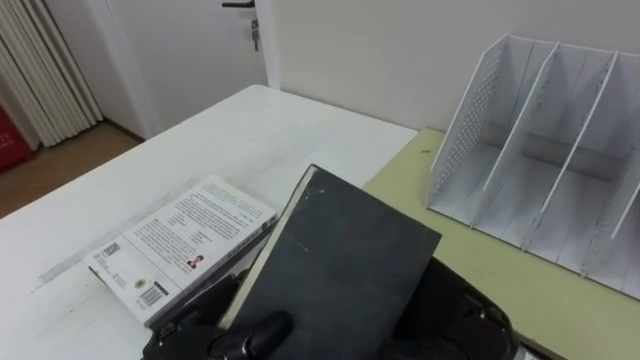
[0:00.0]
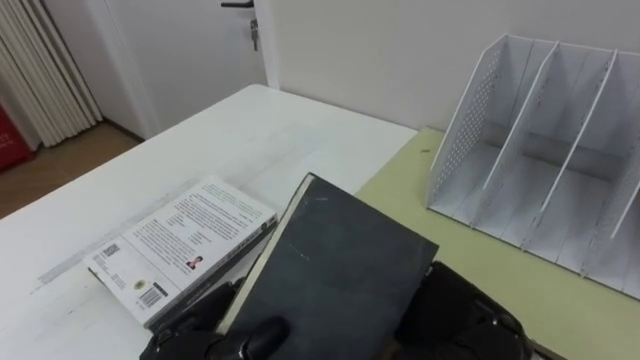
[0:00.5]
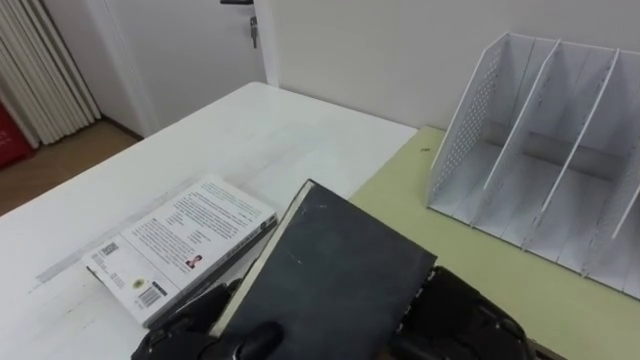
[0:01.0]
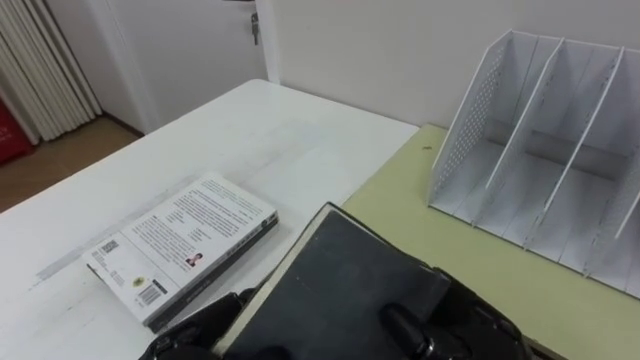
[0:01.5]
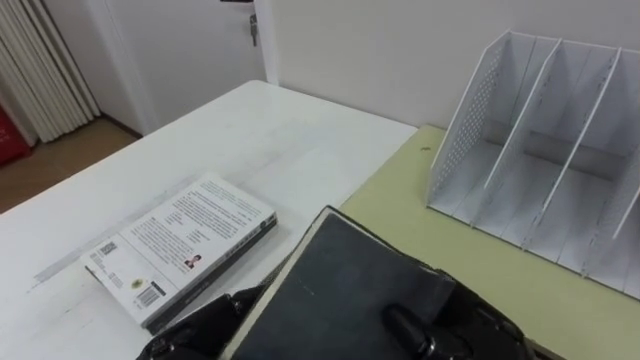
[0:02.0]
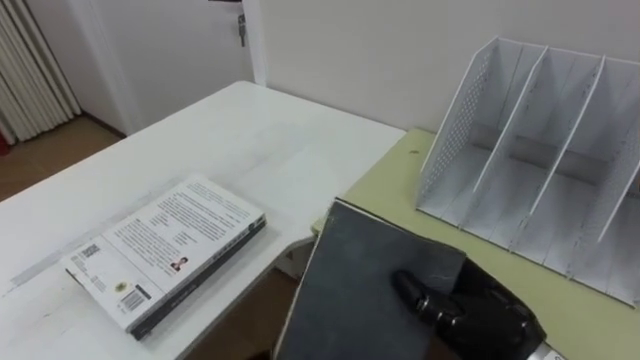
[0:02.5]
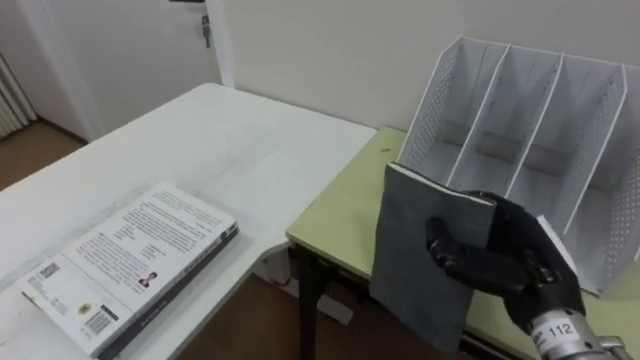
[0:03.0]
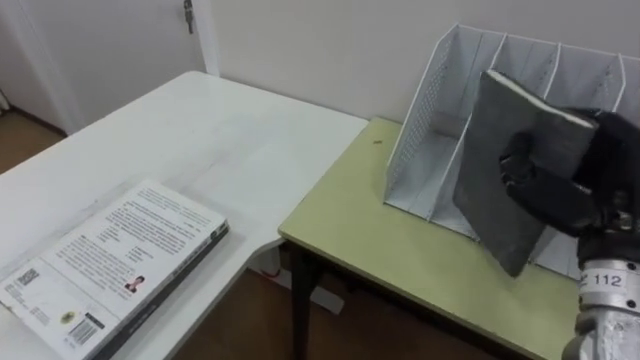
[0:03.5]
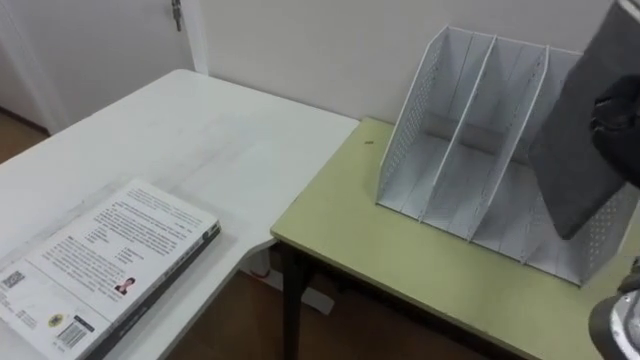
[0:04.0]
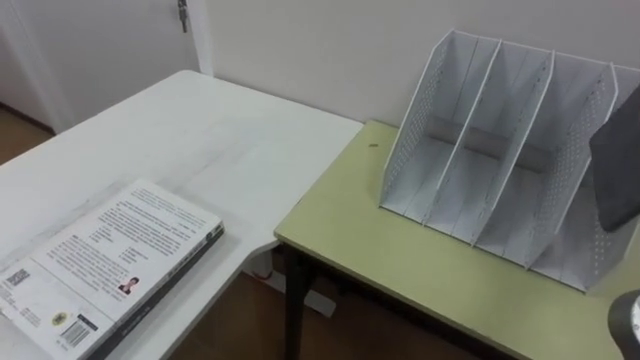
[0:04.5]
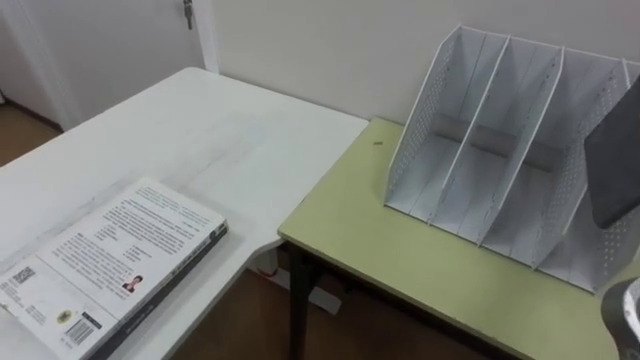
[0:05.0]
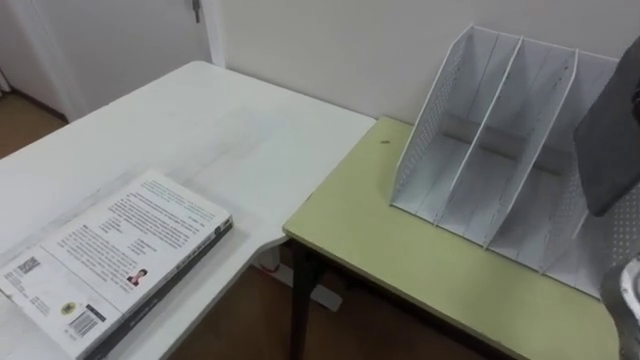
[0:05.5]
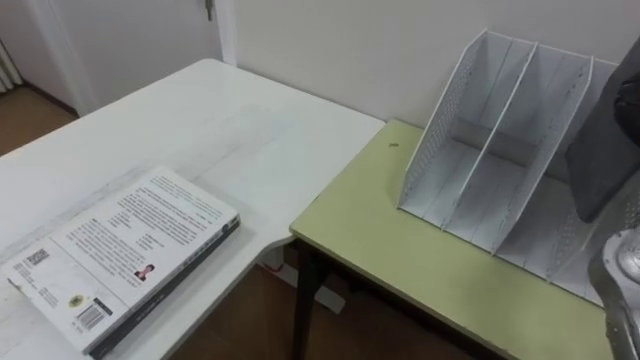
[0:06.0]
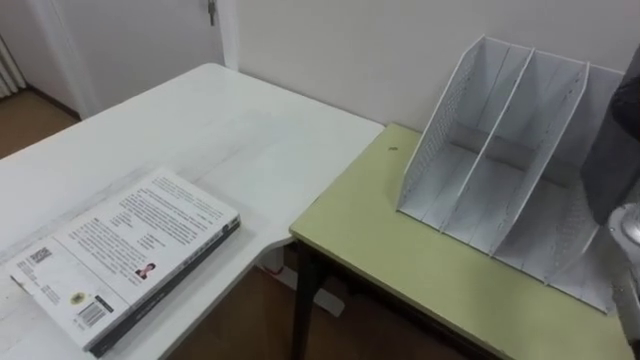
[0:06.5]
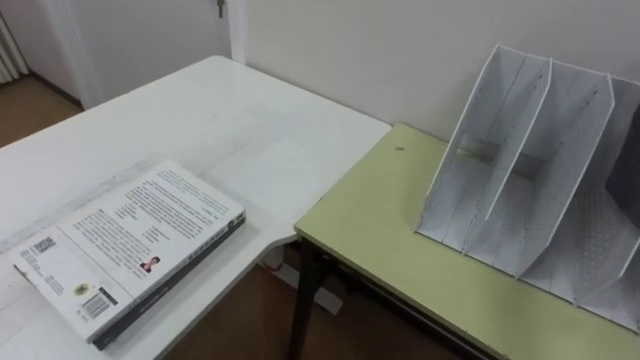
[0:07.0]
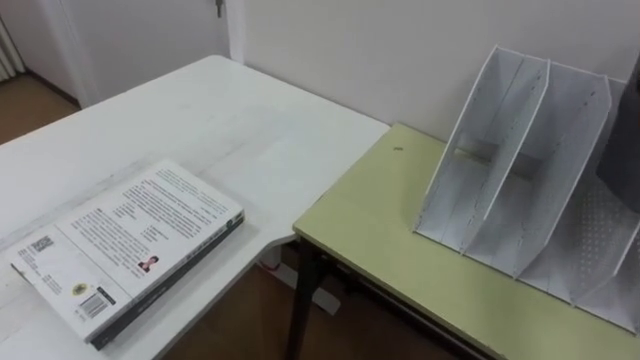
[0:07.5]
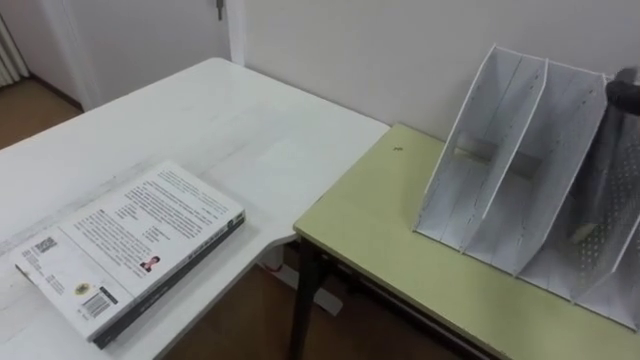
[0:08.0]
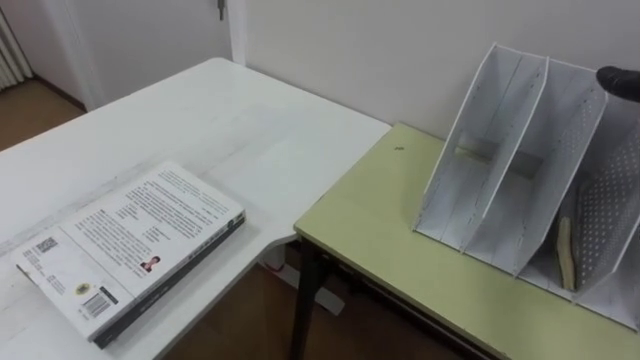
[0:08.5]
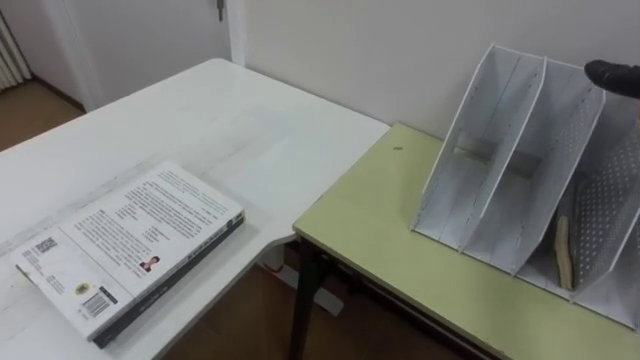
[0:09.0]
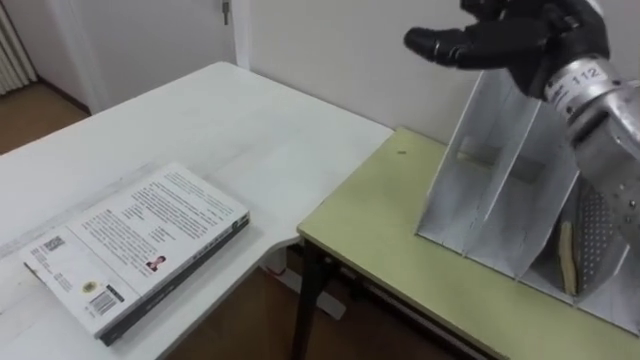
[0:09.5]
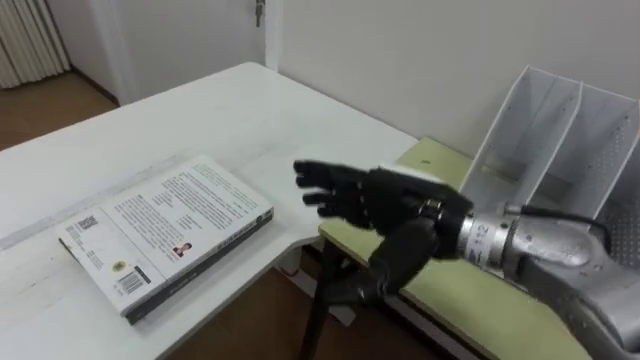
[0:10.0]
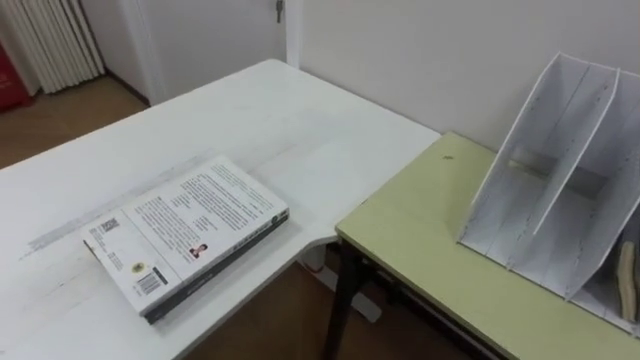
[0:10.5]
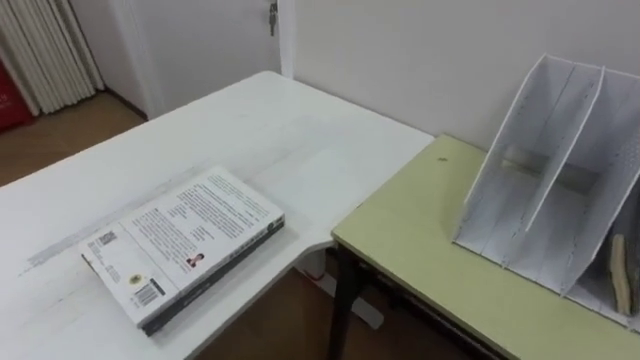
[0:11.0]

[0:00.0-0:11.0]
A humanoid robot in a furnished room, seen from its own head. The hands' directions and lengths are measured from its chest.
Task of the whole recording: Put the books on the table onto the bookshelf.
0:00.0 to 0:02.0: The right hand closes its fingers.
0:02.0 to 0:03.5: The right hand goes roughly 15 cm to the right, upward and forward.

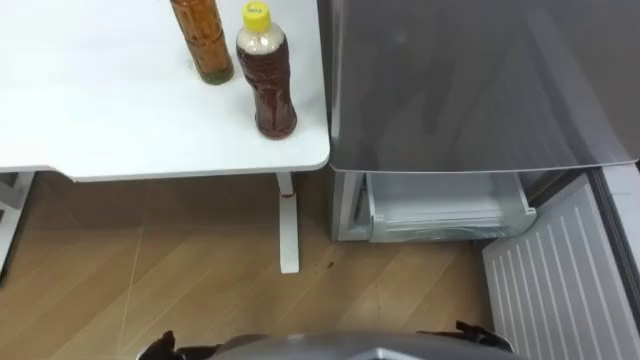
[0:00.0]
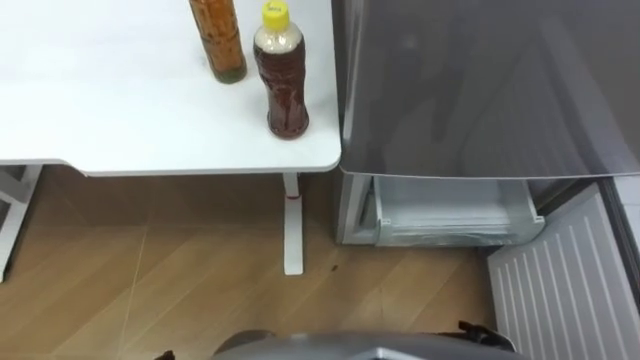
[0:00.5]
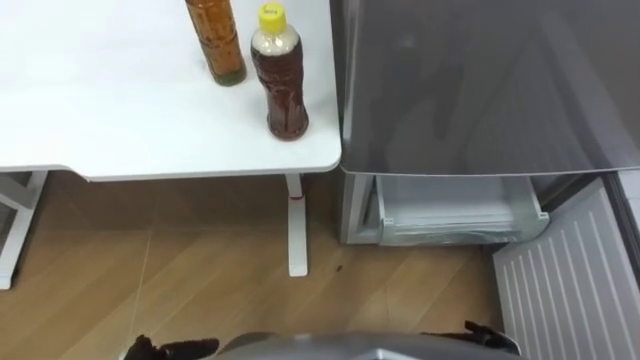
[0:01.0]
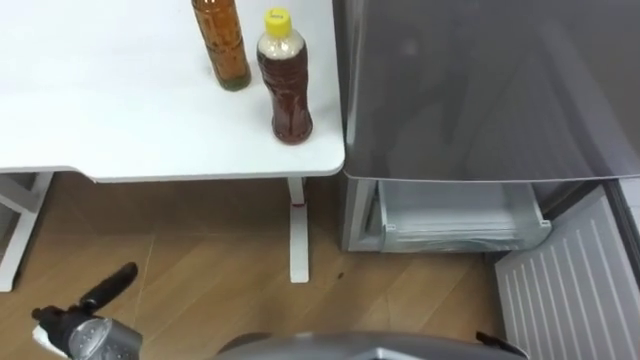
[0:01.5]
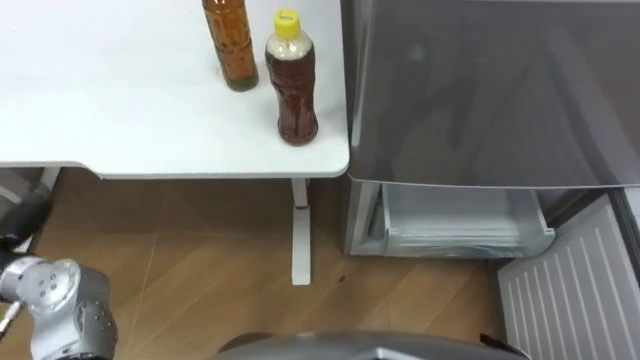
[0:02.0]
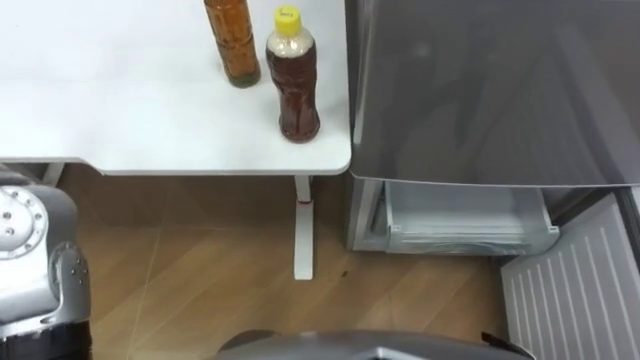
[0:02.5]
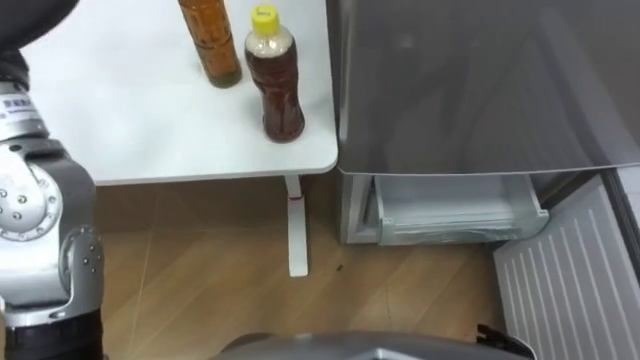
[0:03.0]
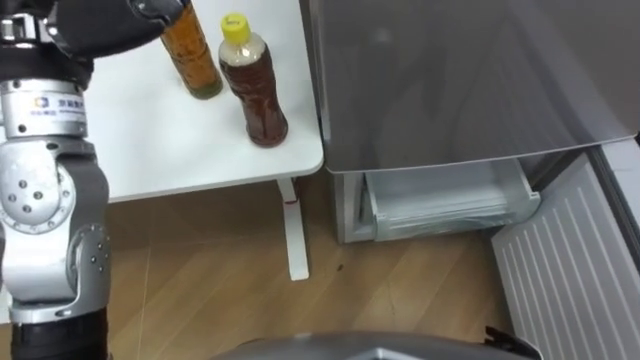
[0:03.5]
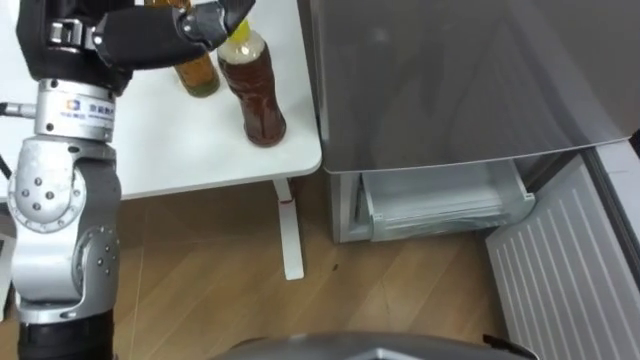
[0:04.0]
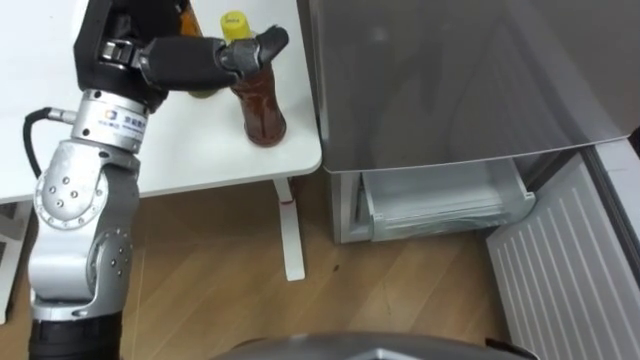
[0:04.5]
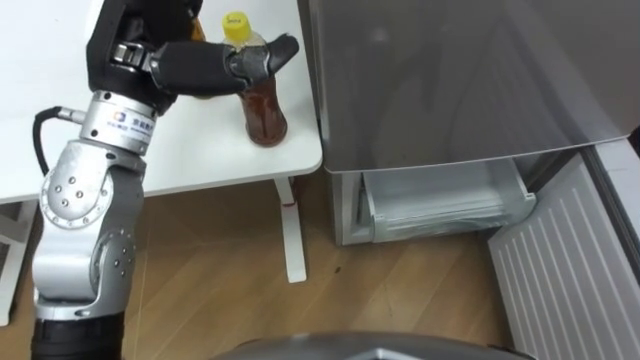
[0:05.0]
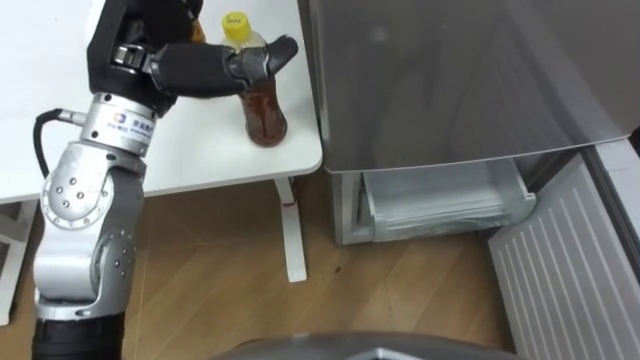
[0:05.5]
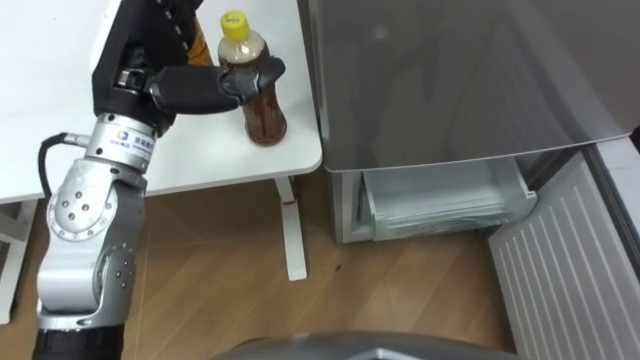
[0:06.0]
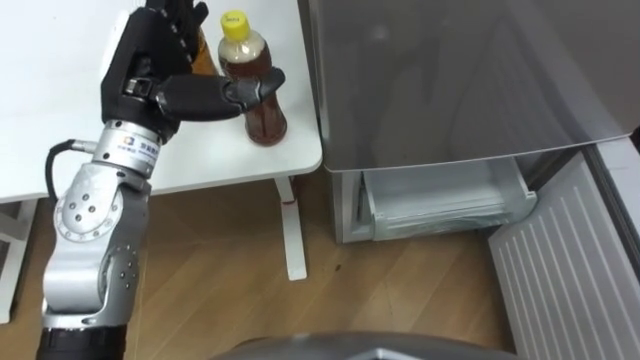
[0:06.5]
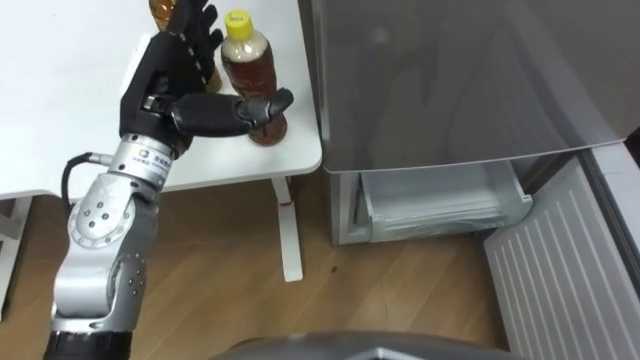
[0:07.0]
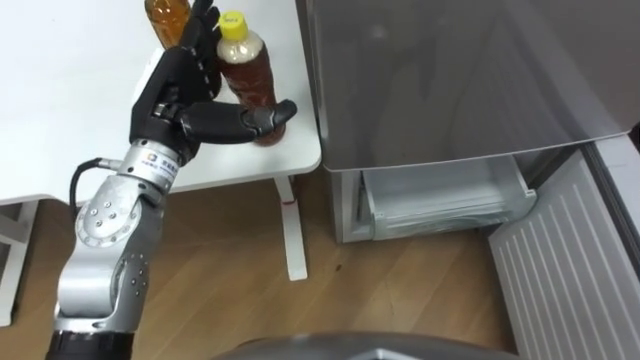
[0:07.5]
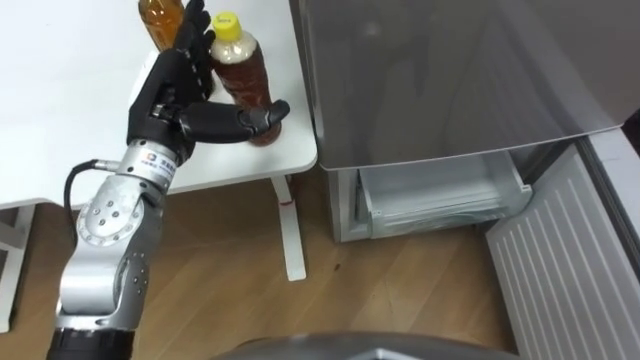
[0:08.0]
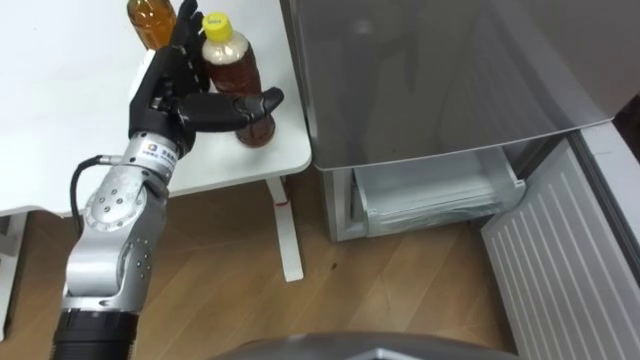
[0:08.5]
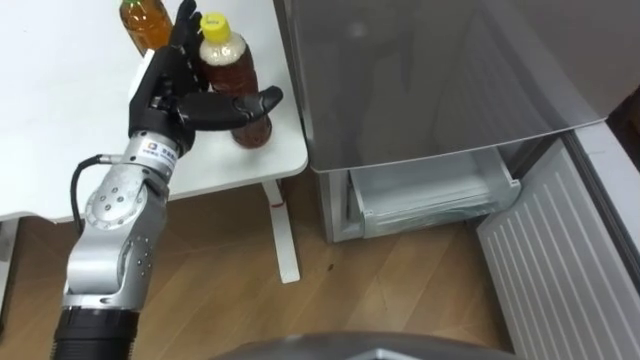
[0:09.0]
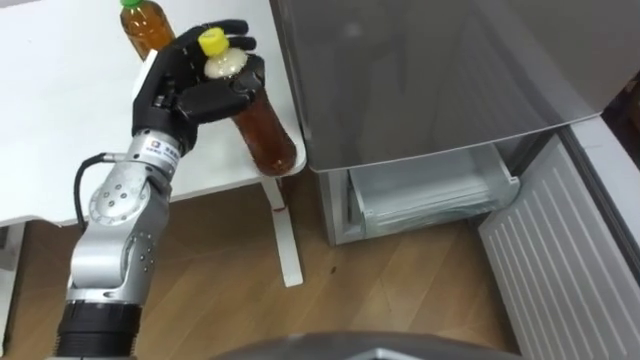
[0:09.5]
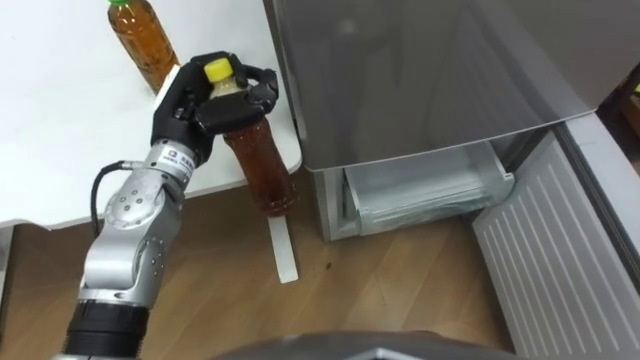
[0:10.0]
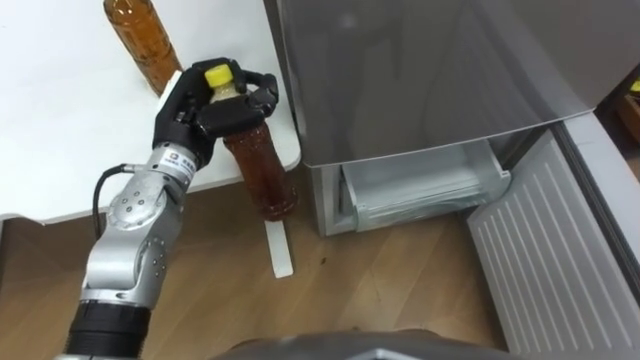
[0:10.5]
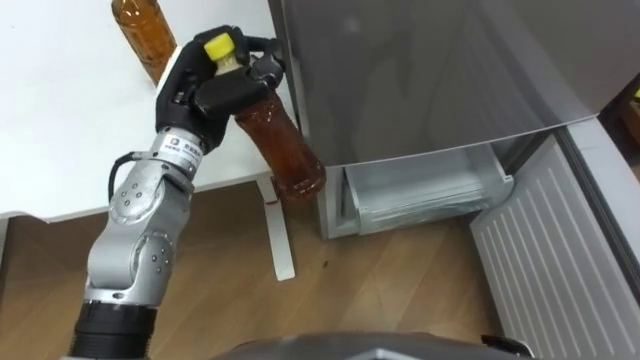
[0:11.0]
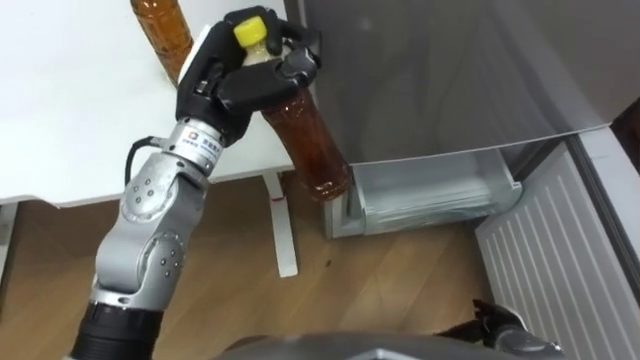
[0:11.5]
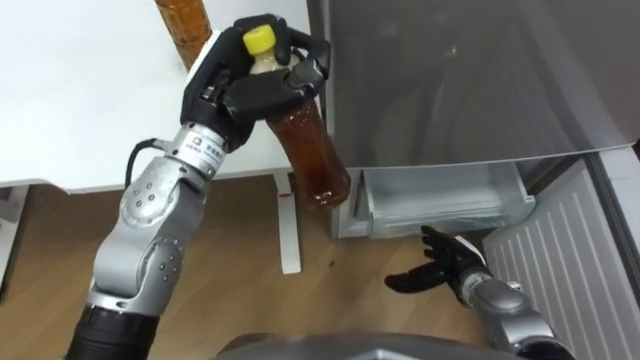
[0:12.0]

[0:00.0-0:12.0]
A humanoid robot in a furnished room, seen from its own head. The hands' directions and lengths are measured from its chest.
Task of the whole recording: Place the drink on the table on the bottom shelf of the refrigerator, then close the drawer and the refrigerator door.
0:04.0 to 0:06.0: The left hand moves downward, some 5 cm.
0:06.0 to 0:08.0: The left hand shifts some 5 cm downward.
0:08.0 to 0:10.0: The left hand closes up.
0:10.0 to 0:12.0: The left hand is displaced upward and to the right by some 10 cm.
